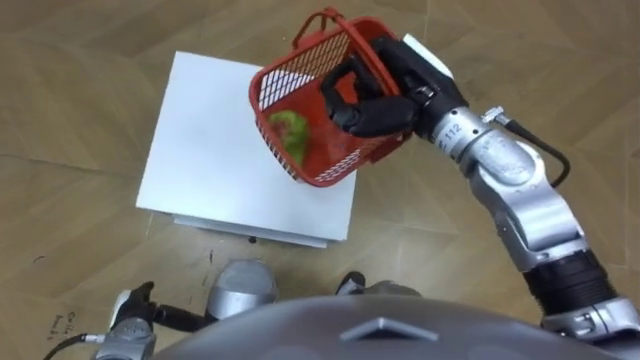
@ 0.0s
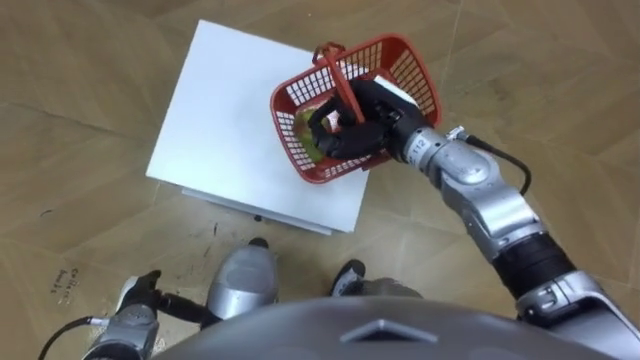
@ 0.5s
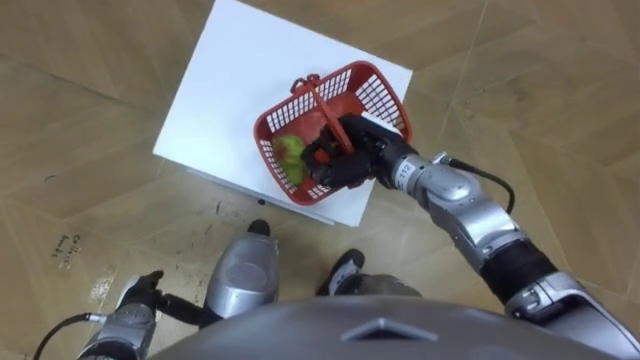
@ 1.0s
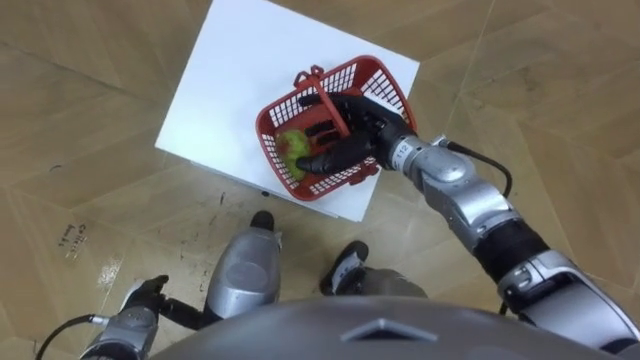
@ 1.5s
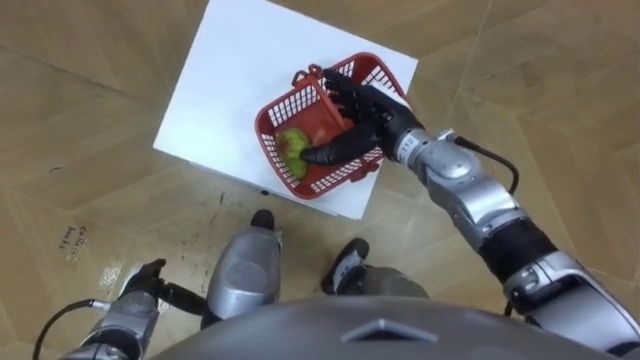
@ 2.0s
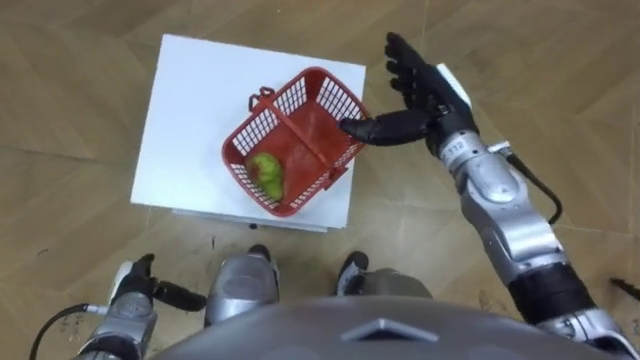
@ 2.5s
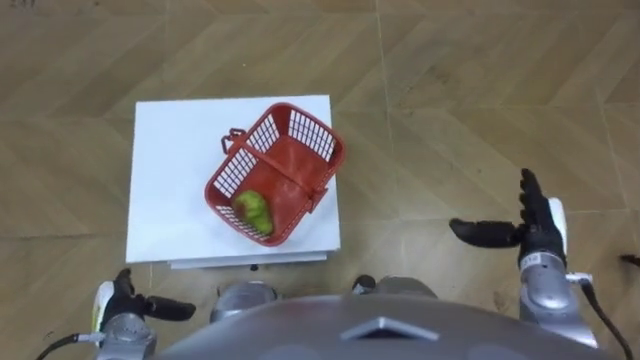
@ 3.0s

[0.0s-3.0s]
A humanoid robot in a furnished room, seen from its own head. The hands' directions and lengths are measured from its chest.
Task of the whole recording: Pick up the fruit basket from the floor and place it on the cabinet.
0.0s to 1.5s: The right hand is displaced downward by approximately 10 cm, and opens up.
1.5s to 3.0s: The right hand travels to the right and backward by approximately 25 cm.

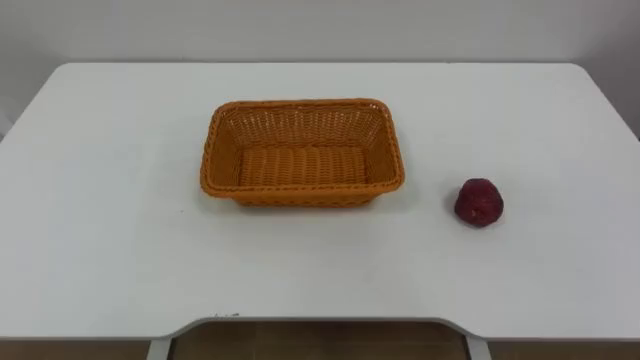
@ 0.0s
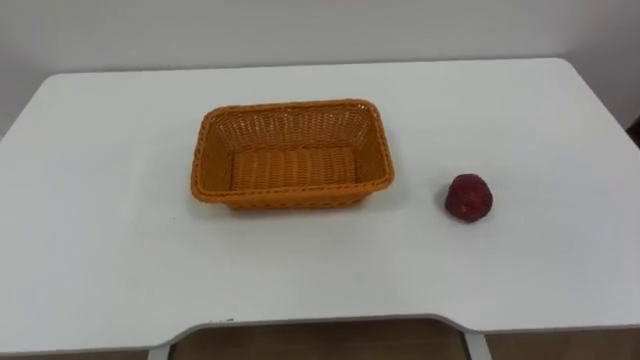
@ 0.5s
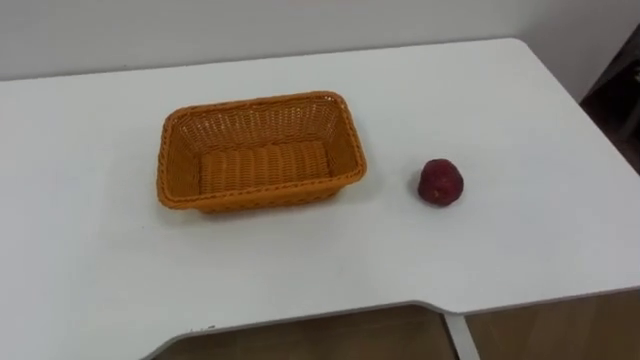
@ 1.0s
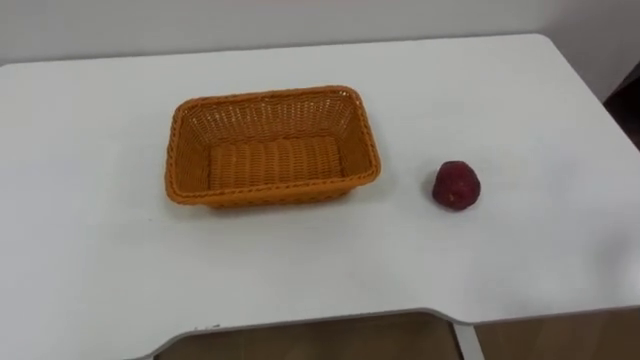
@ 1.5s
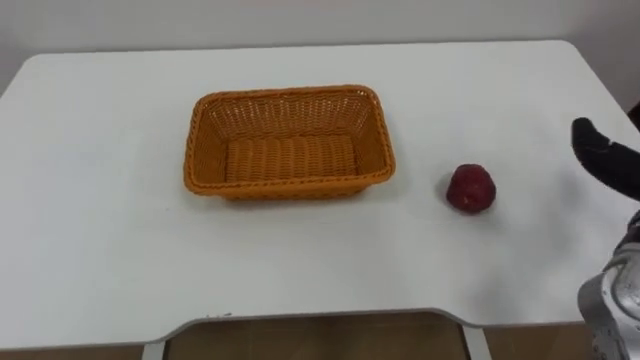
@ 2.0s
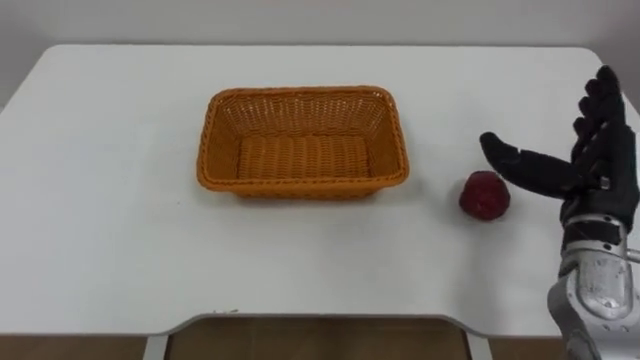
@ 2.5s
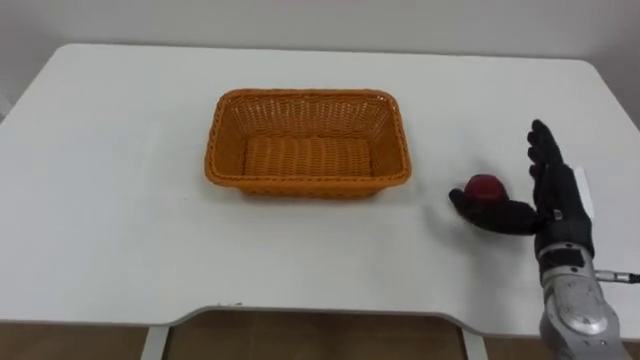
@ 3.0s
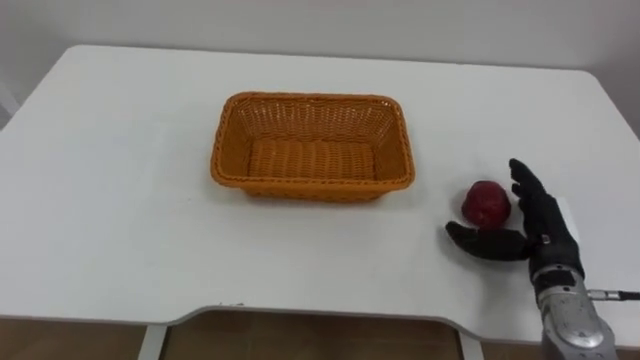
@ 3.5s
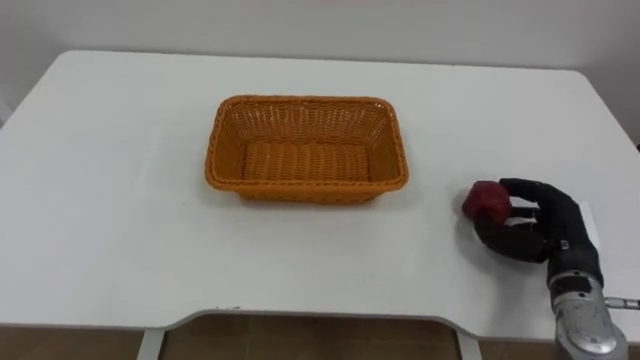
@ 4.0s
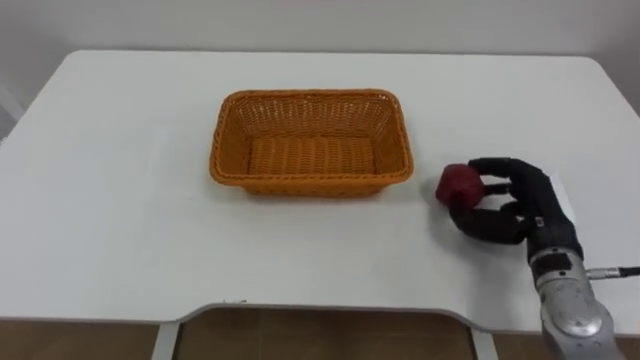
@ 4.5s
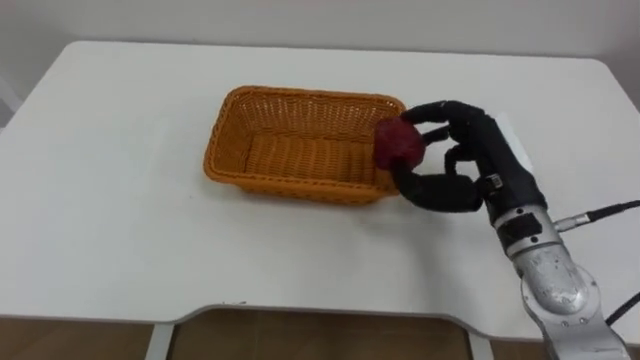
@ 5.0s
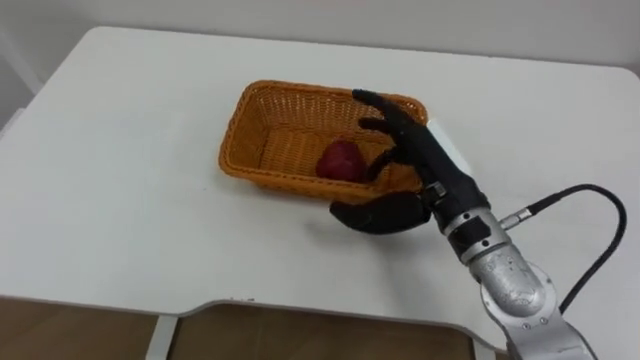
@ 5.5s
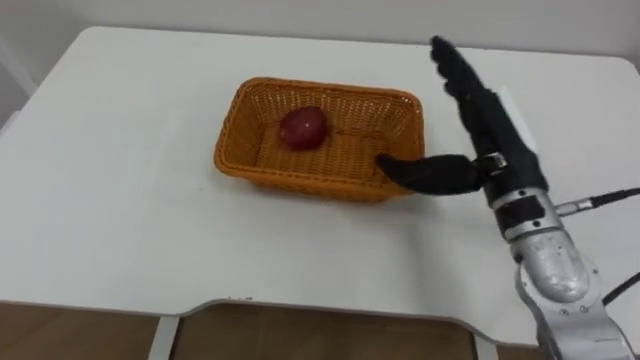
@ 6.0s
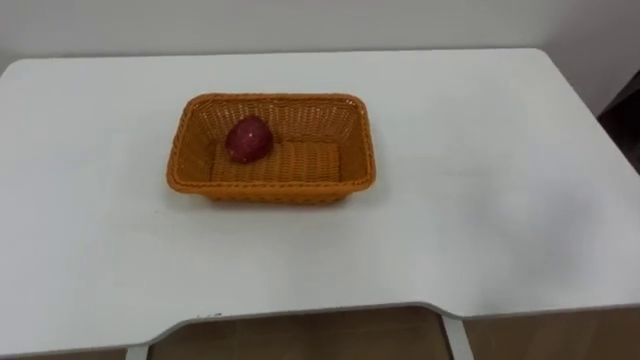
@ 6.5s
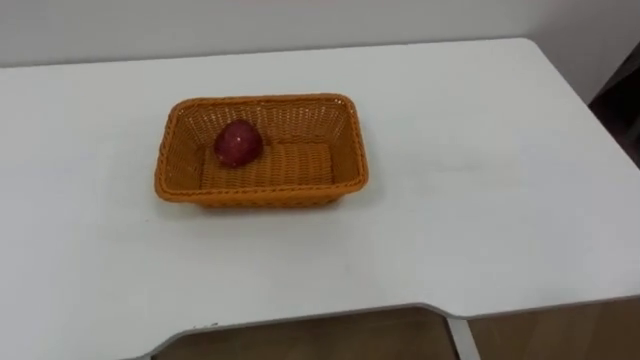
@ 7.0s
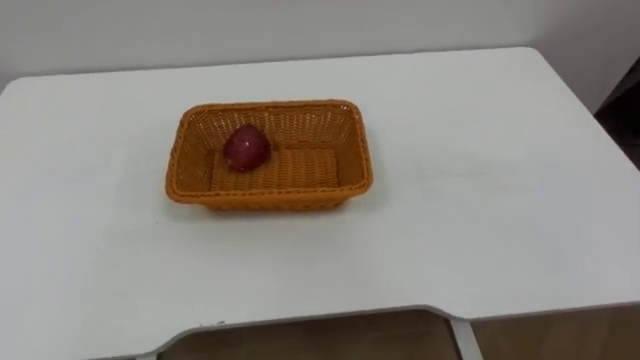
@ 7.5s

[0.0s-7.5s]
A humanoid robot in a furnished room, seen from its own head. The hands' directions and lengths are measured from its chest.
Task of the whole recording: Pick the apple and place it in the box.
4.0s to 5.5s: The right hand travels to the left and upward by roughly 20 cm.

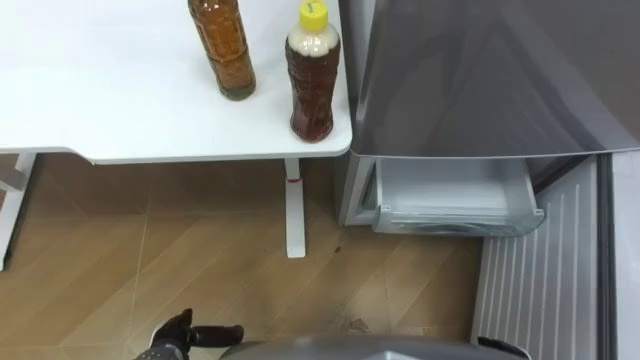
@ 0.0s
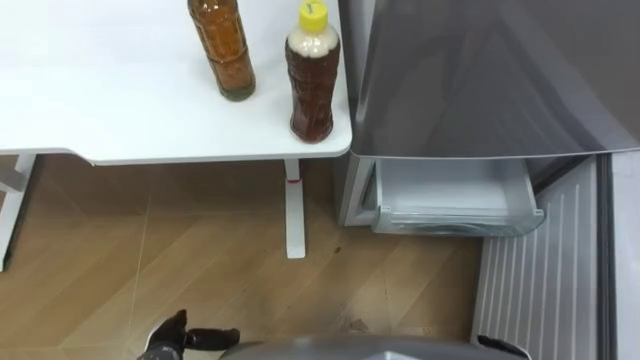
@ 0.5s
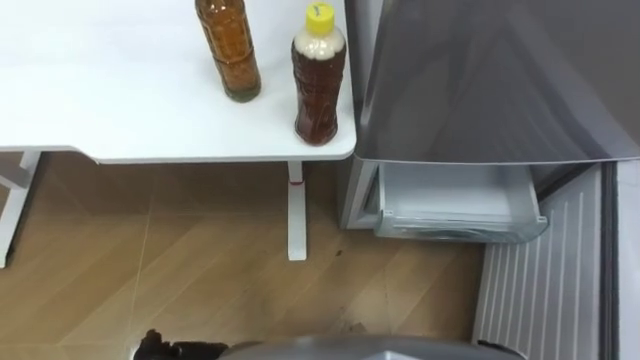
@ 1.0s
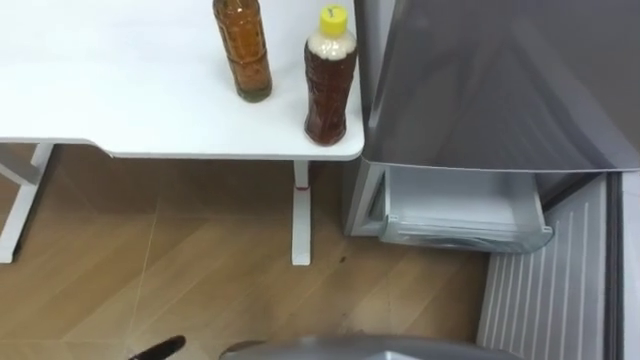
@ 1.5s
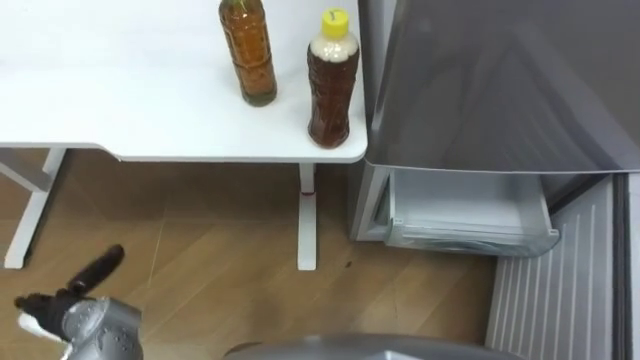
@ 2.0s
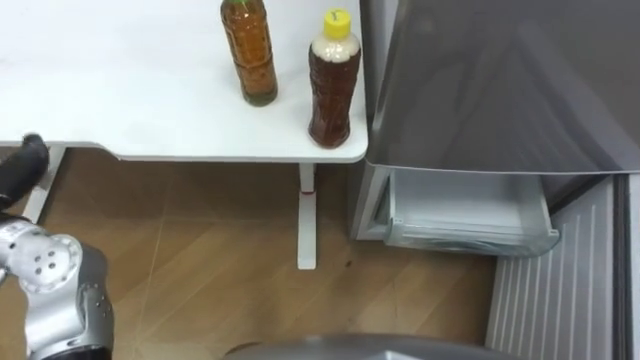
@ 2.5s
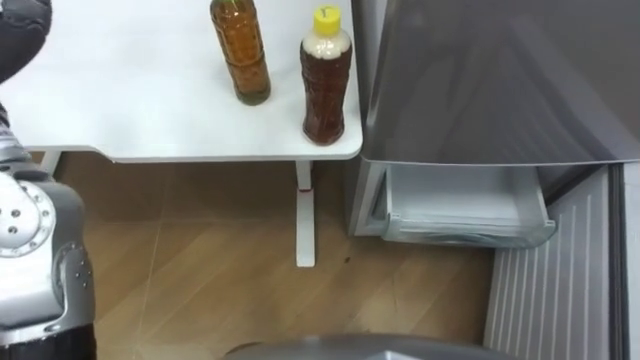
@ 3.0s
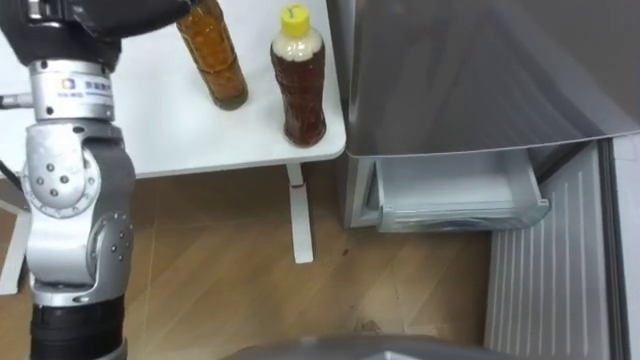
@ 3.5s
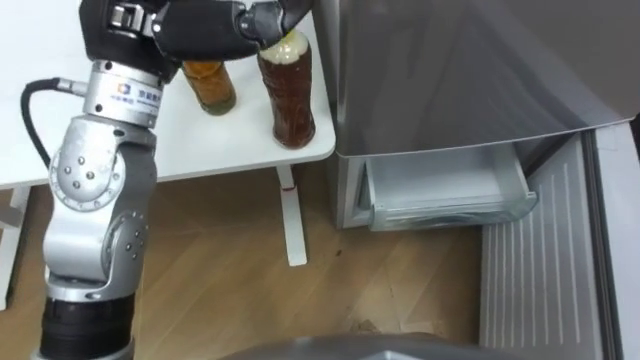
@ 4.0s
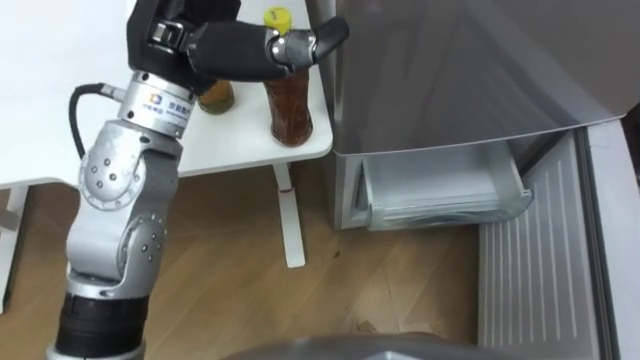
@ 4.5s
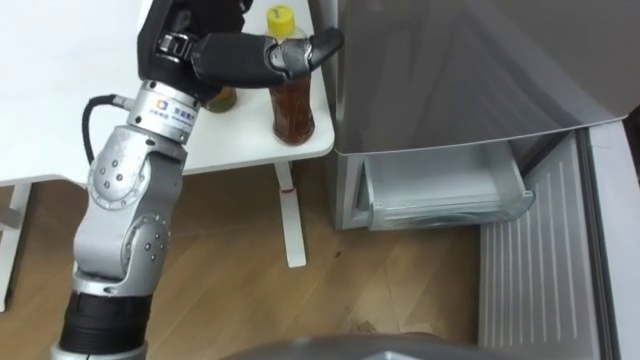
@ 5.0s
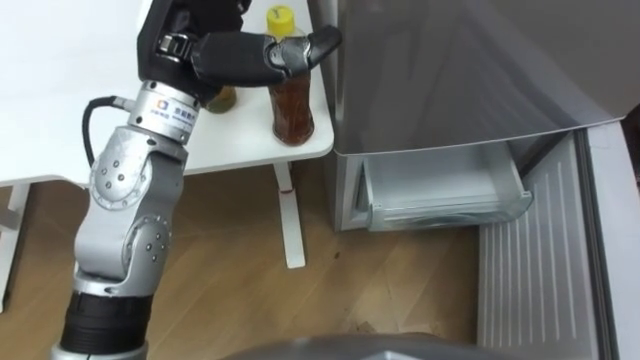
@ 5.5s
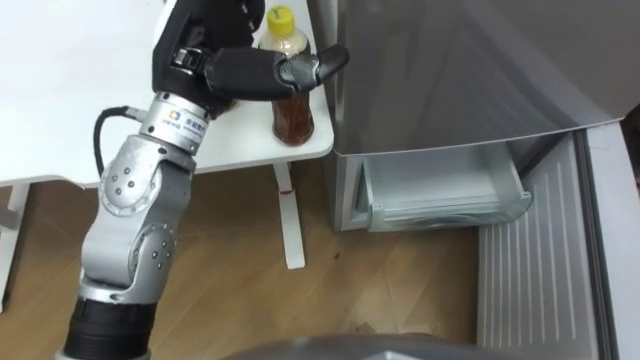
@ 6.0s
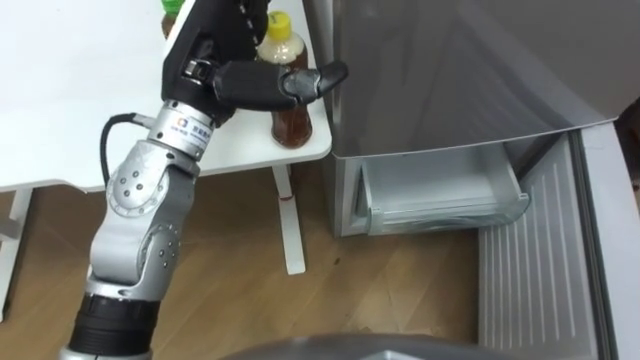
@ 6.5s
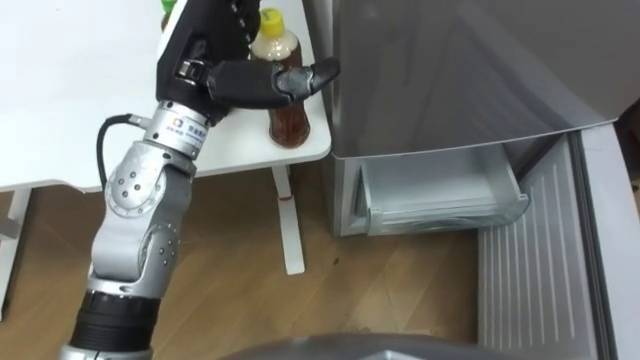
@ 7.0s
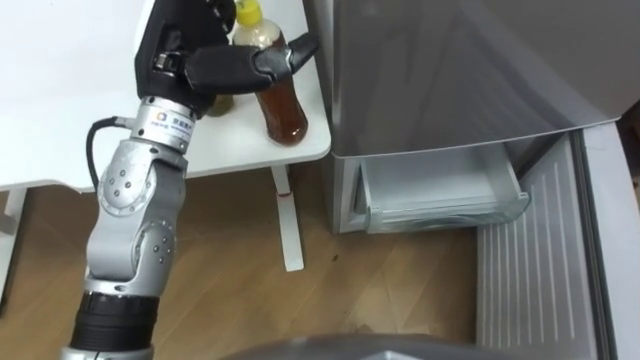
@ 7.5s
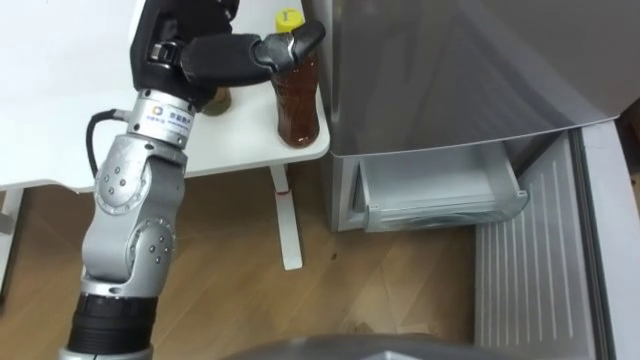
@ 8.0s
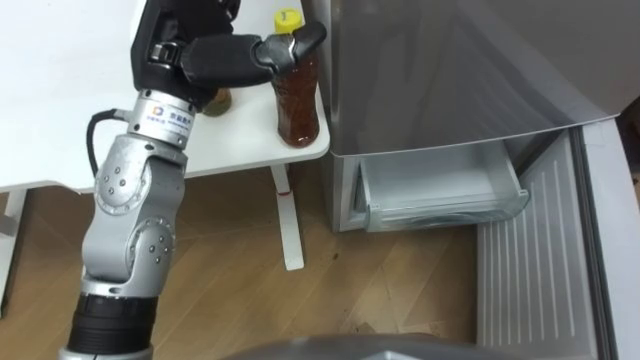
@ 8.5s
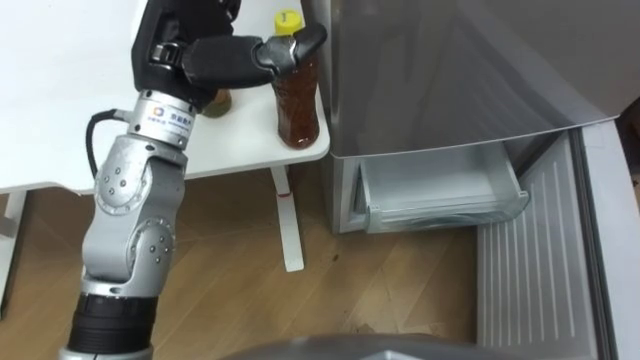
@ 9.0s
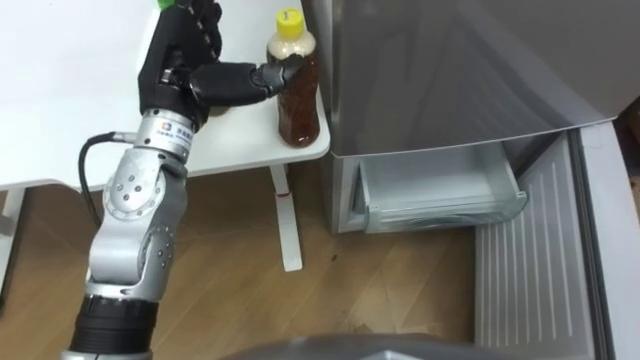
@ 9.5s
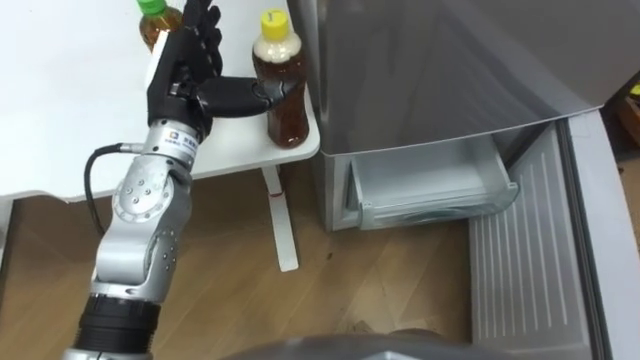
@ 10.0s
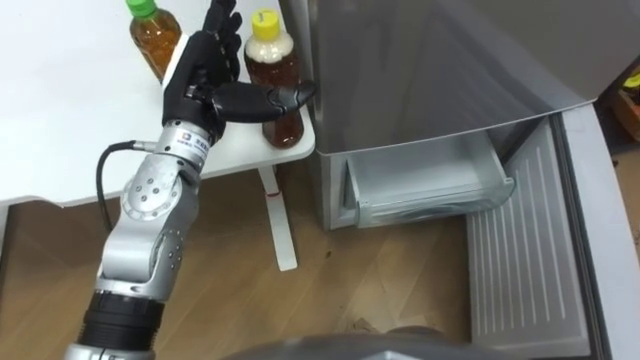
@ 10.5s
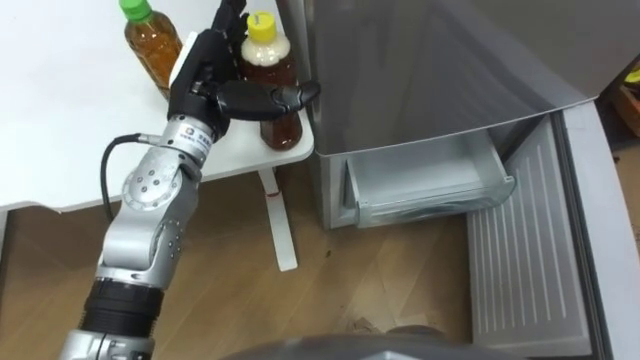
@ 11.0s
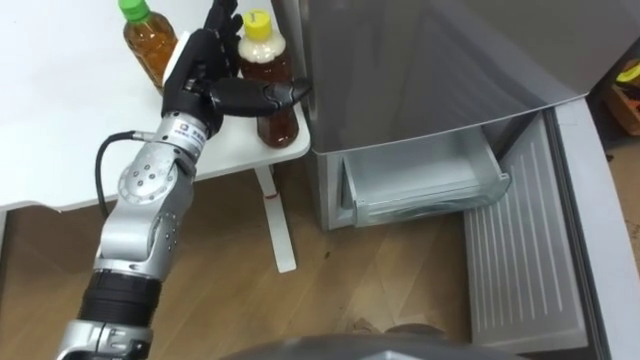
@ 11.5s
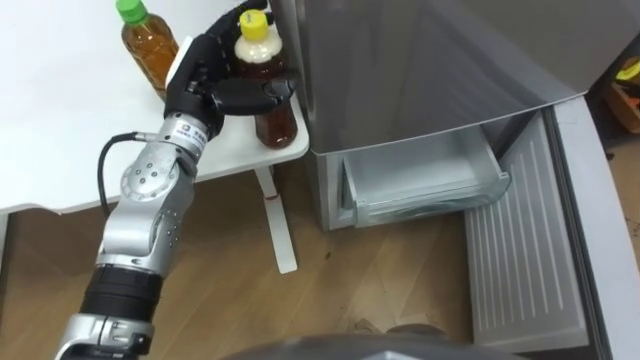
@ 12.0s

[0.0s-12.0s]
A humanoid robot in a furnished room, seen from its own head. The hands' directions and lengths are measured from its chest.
Task of the whole recording: Place the drink on the table on the bottom shelf of the refrigerator, then close the drawer and the refrigerator door.
4.0s to 6.0s: The left hand is displaced downward by roughly 5 cm.
8.0s to 10.0s: The left hand is displaced downward by roughly 5 cm.
